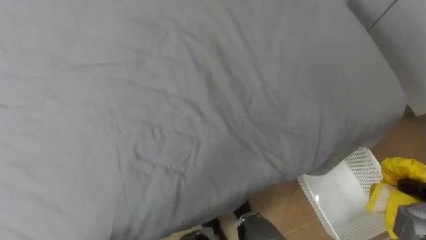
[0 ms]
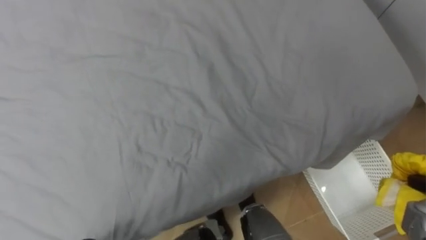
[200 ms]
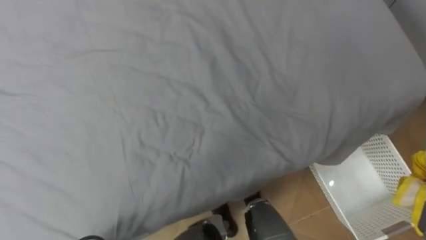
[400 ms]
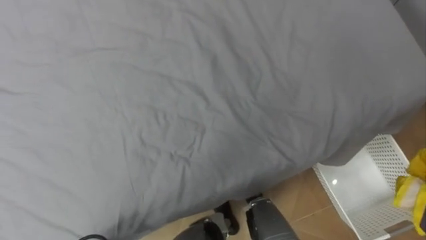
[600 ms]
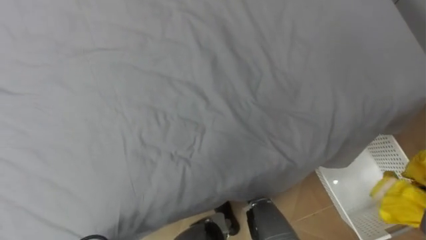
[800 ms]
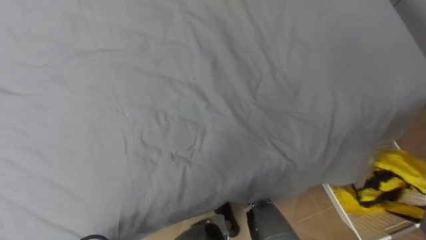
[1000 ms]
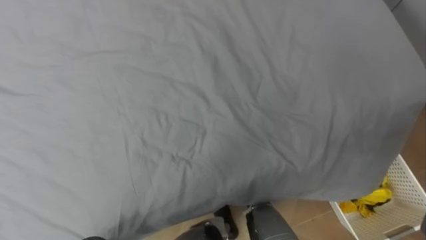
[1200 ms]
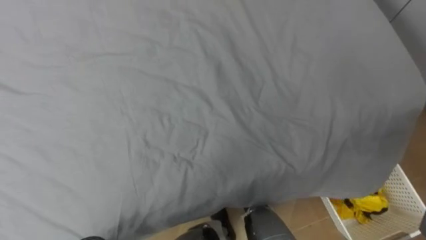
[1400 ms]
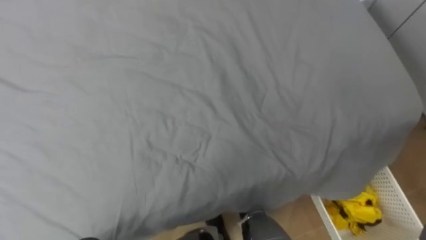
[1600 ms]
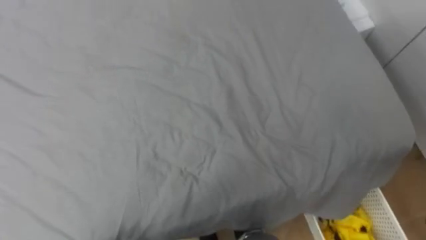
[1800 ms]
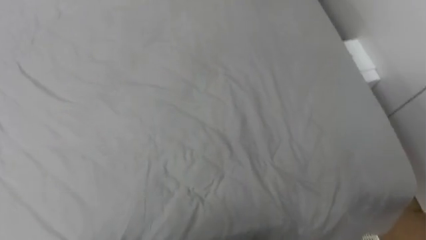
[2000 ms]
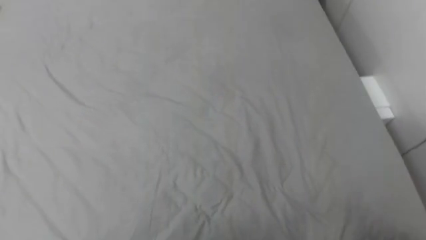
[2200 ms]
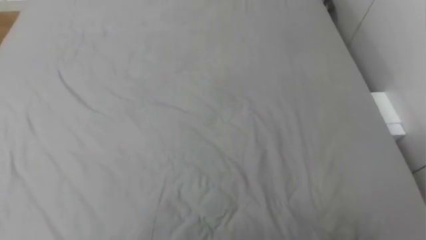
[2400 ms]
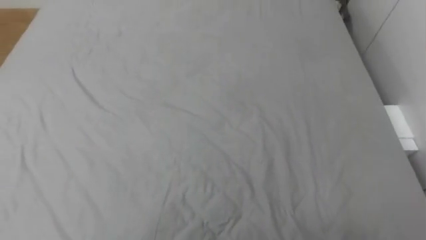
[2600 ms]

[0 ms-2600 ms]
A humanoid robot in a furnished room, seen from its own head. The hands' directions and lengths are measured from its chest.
Task of the whole recording: Pick up the yellow clothes on the bed and place them into the white basket on the right.
1200 ms to 2600 ms: The robot's body swings about 15 degrees to its left.

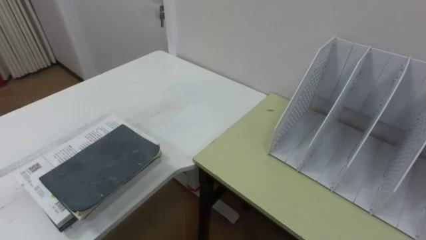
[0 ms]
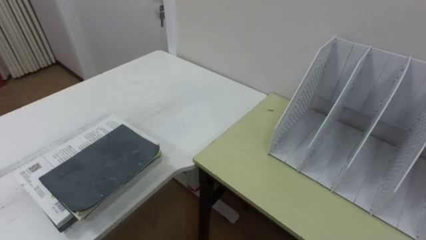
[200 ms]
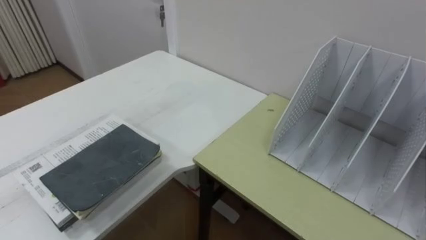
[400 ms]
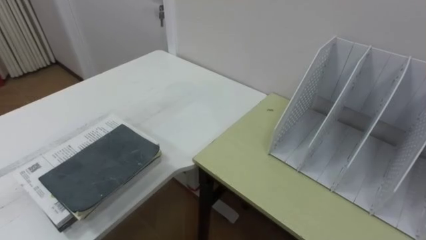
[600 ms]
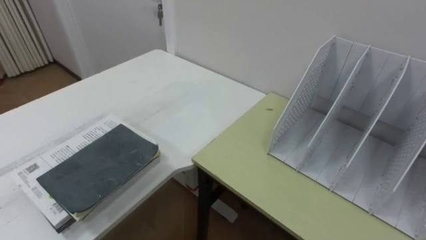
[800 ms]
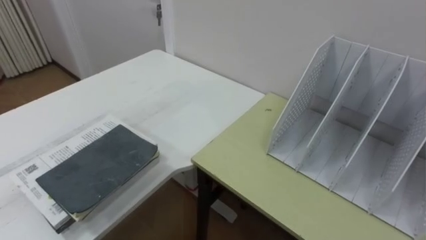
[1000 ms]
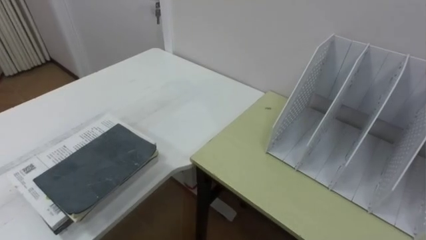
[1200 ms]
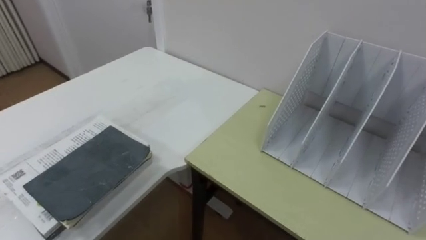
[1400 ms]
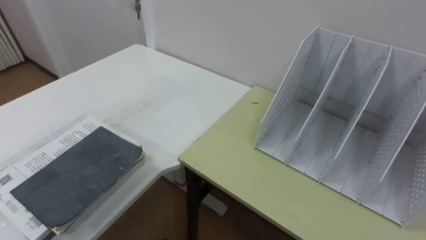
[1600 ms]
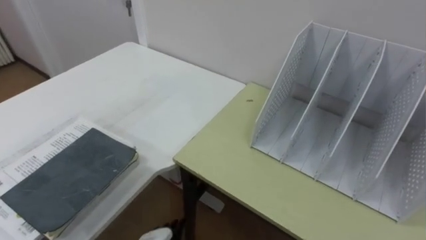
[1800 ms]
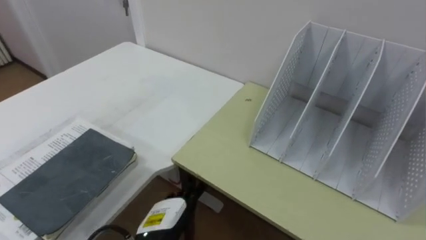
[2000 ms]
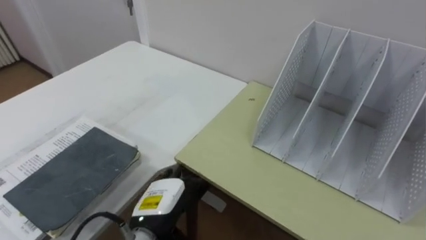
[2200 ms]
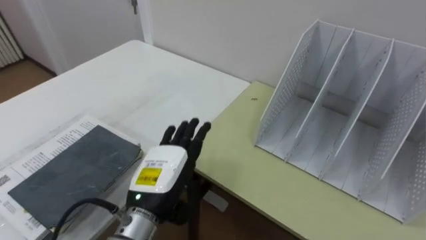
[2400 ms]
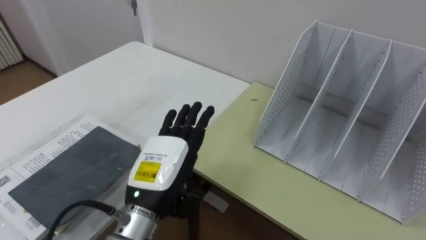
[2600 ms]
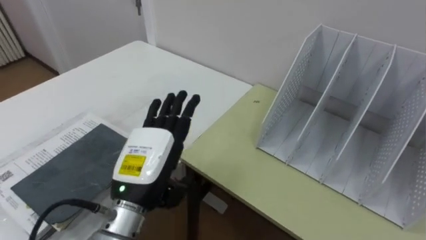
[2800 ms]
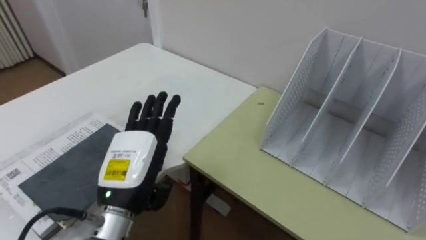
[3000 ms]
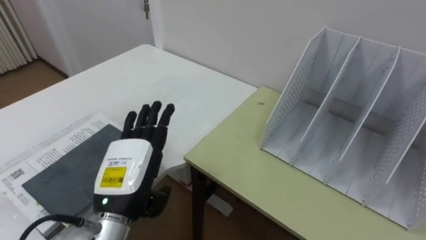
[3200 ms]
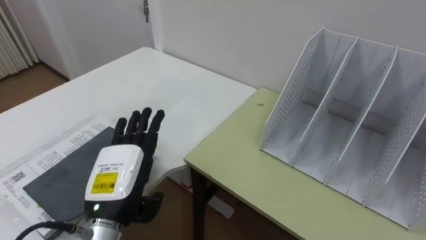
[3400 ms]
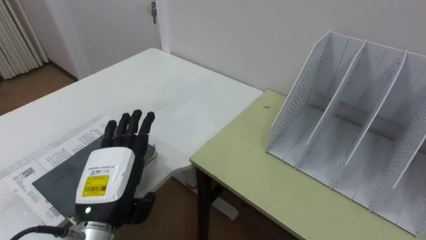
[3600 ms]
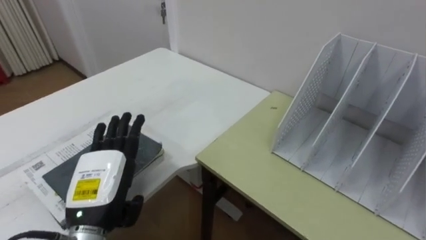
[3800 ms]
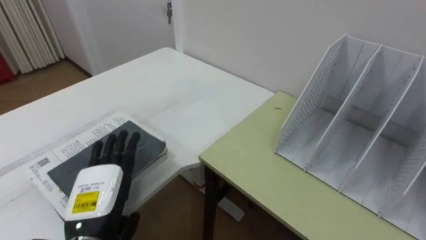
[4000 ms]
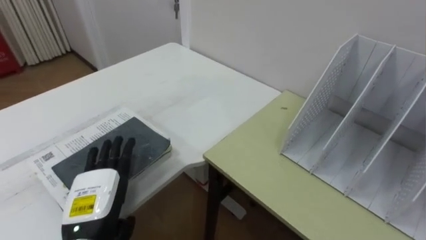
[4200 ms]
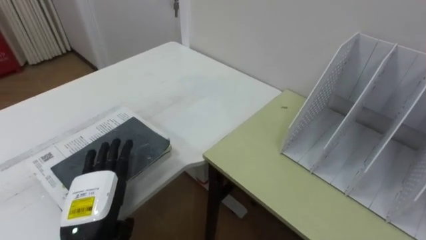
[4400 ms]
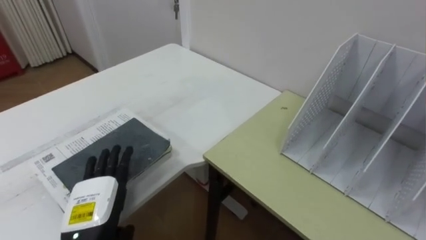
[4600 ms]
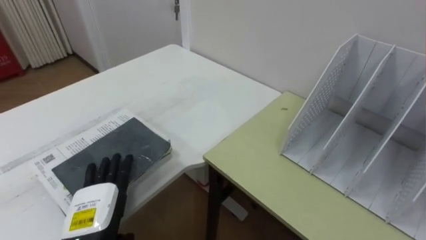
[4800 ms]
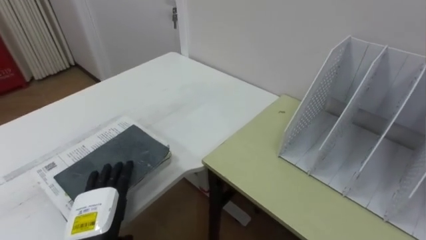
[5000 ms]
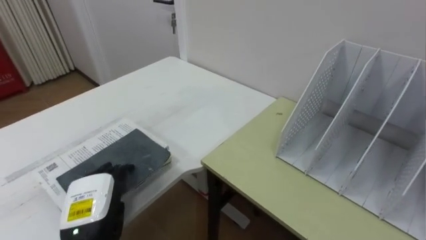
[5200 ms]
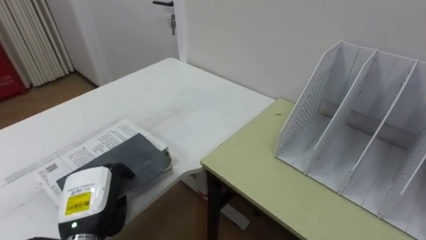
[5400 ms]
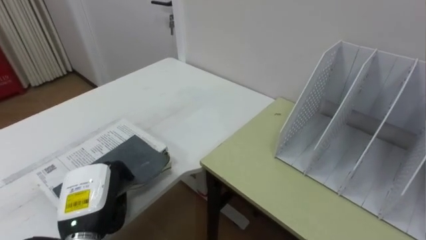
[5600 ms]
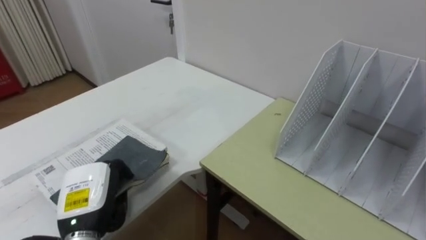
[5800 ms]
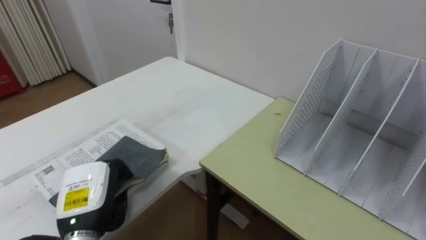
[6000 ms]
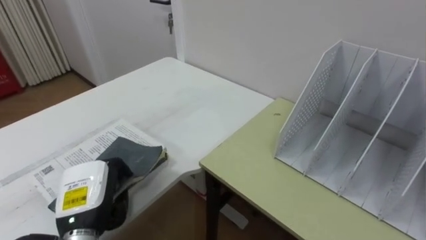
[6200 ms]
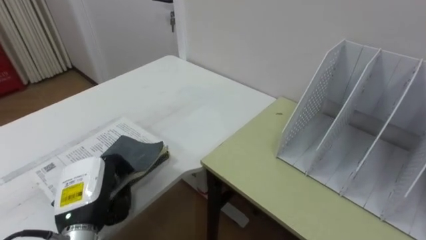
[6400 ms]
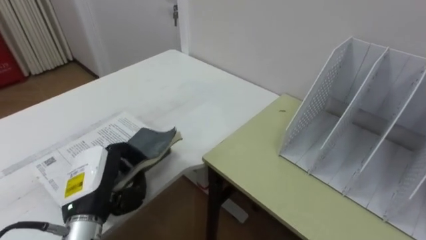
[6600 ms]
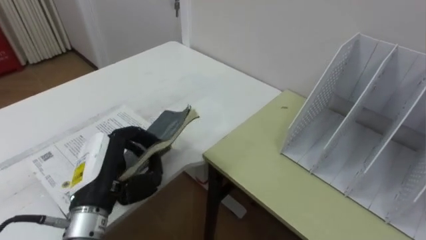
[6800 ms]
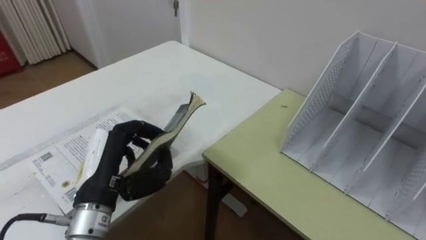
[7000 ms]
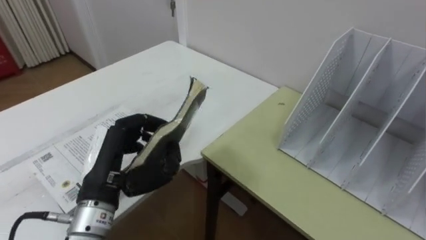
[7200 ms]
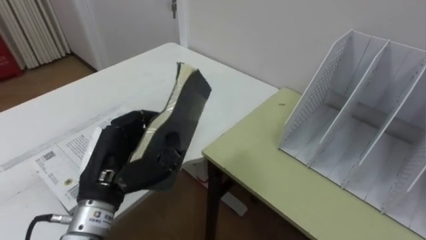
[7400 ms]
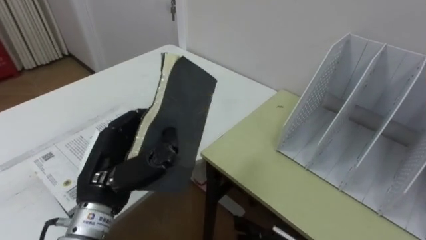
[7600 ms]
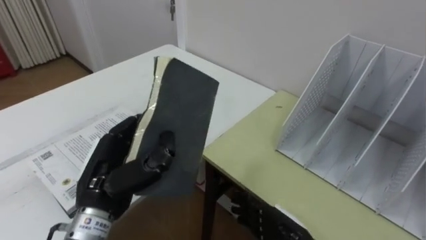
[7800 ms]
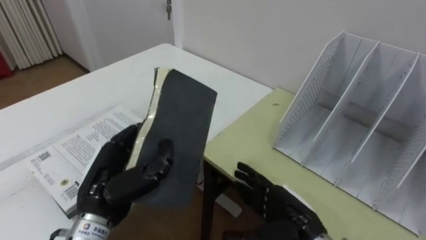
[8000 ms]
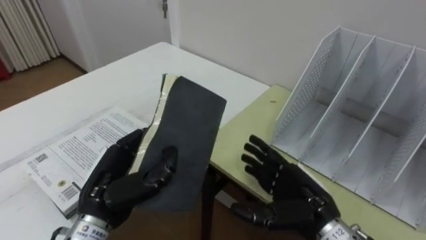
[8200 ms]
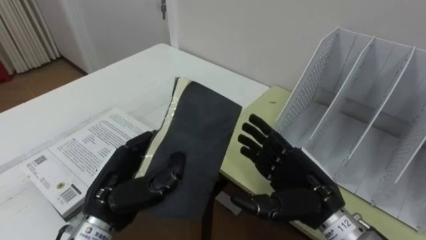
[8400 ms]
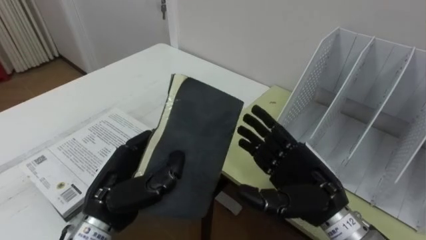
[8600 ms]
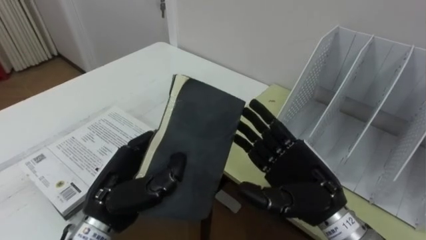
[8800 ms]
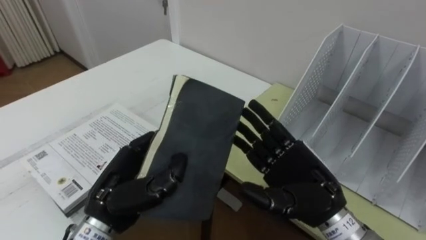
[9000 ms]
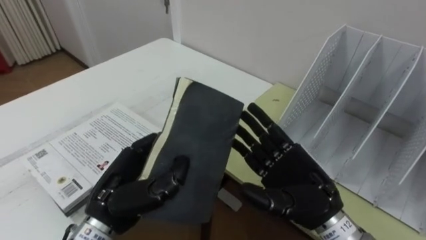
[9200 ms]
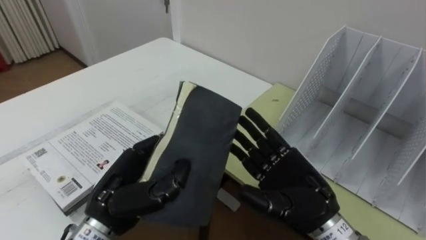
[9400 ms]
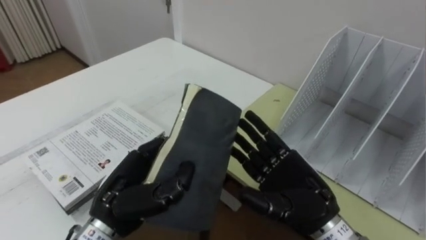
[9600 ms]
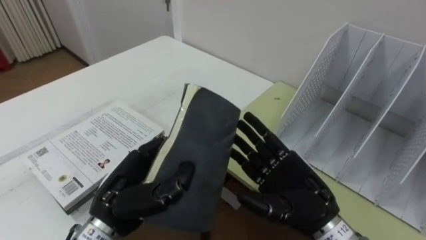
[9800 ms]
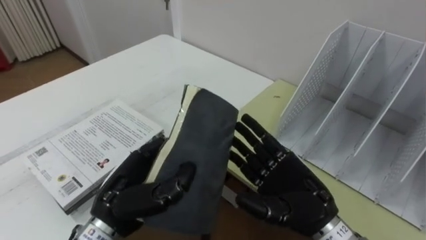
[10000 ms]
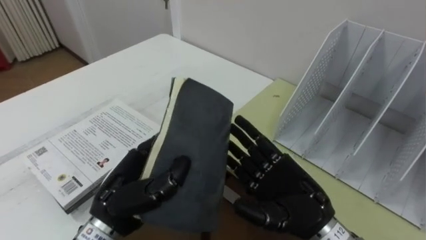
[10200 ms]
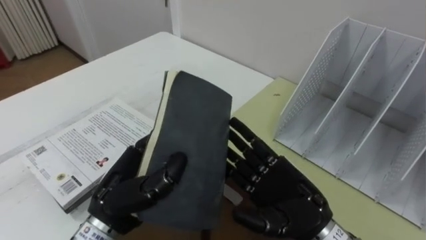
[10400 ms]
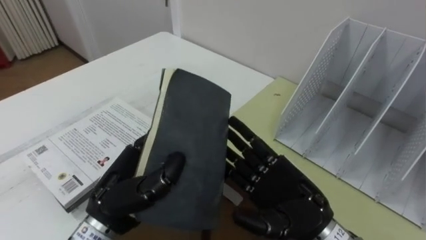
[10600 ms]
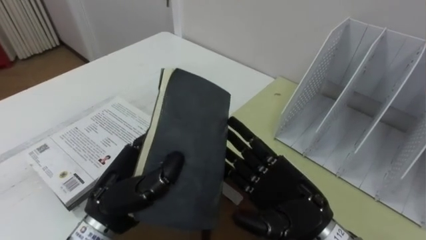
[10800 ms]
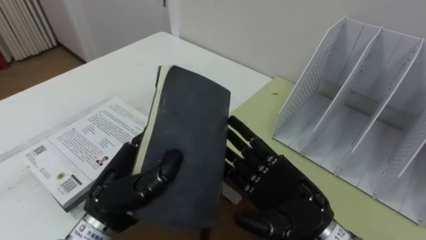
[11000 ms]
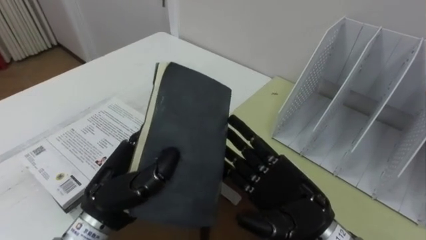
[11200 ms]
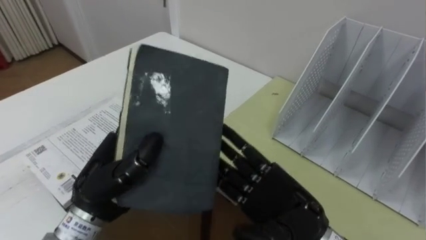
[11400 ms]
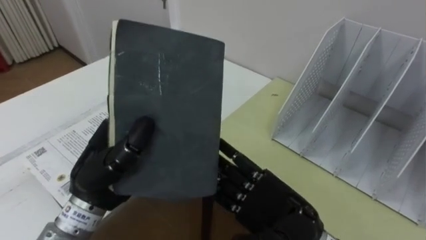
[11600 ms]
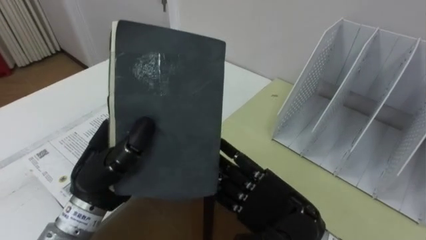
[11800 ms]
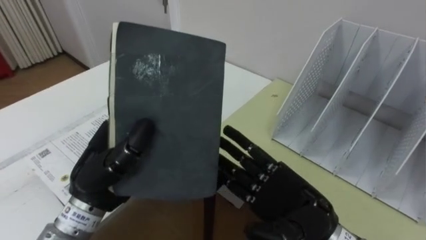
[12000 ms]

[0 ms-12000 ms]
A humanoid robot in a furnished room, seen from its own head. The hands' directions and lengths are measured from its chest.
Task of the whole recording: Put the books on the table onto the bookshelf.
3000 ms to 4400 ms: The left hand moves downward and to the left, roughly 10 cm.
4400 ms to 6000 ms: The left hand closes up.
6000 ms to 7600 ms: The left hand is displaced upward by some 10 cm.
9000 ms to 10400 ms: There are only small adjustments of the hands.

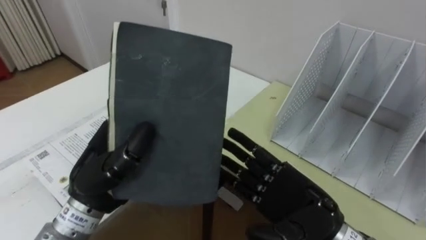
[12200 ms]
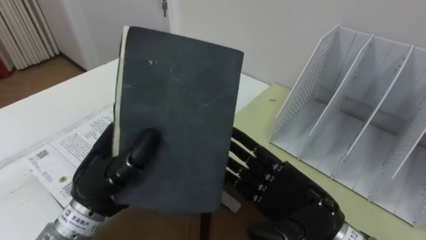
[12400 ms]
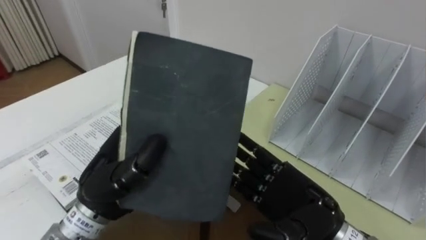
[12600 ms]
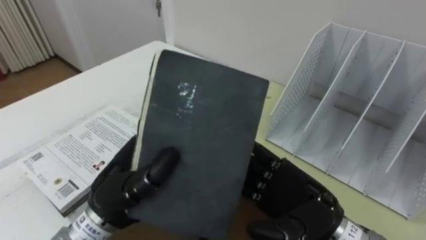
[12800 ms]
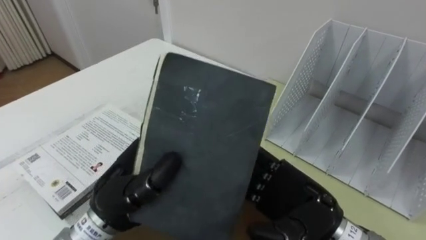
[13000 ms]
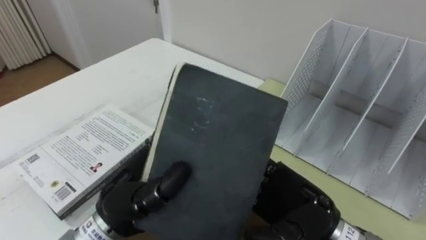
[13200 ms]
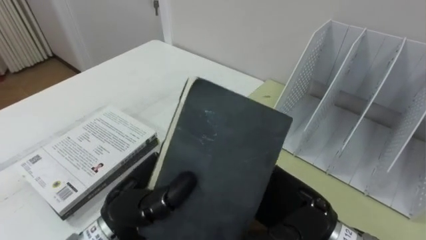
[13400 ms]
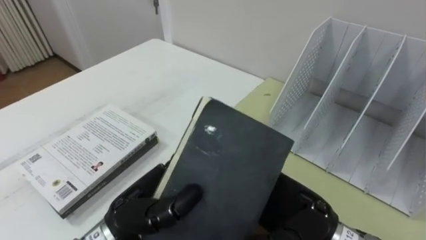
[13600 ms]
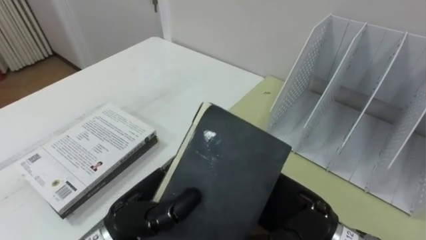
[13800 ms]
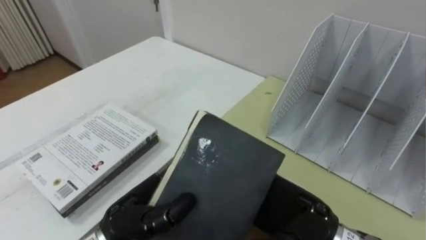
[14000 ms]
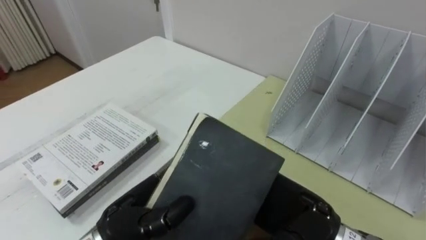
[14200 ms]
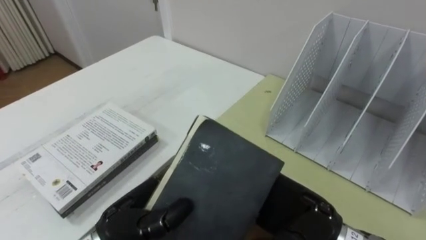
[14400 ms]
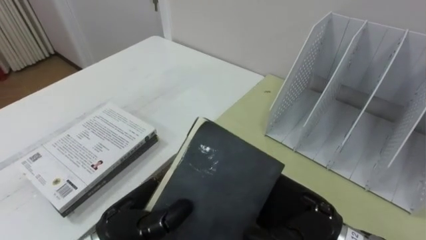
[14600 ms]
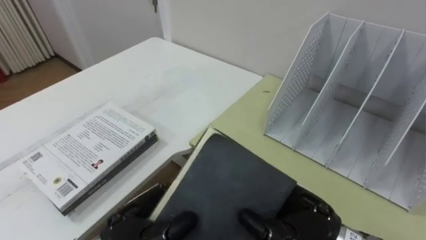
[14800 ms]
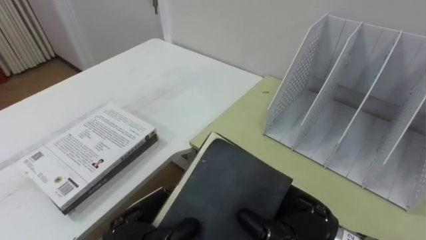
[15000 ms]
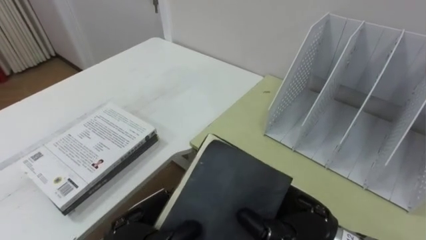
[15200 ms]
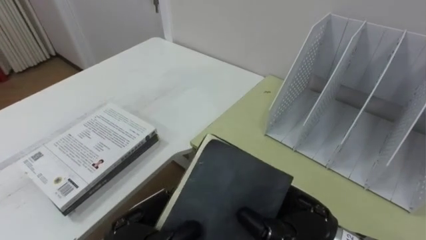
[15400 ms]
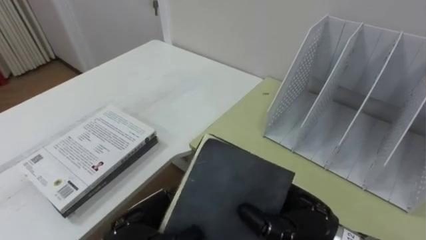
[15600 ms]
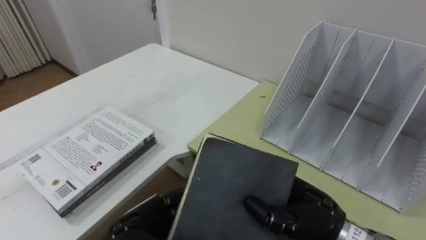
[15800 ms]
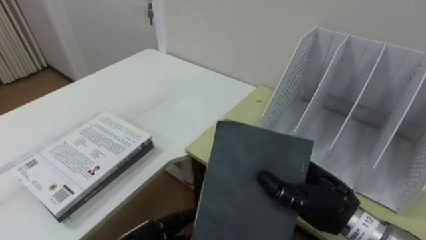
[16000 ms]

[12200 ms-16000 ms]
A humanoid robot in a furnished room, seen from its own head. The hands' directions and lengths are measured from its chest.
Task of the whole recording: Put the books on the table onto the bookshelf.
12200 ms to 13400 ms: The left hand changes place by some 5 cm.
13400 ms to 14800 ms: The left hand shifts some 5 cm downward, while the right hand closes up.
